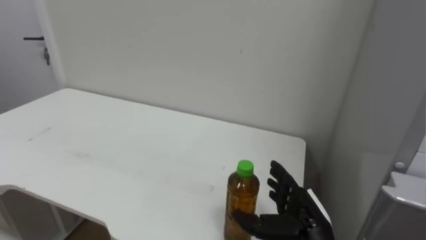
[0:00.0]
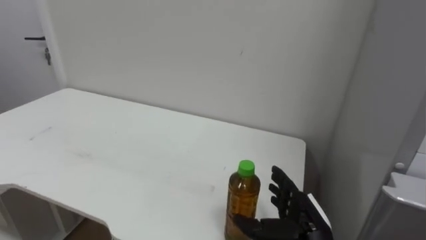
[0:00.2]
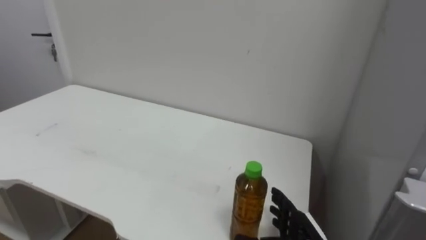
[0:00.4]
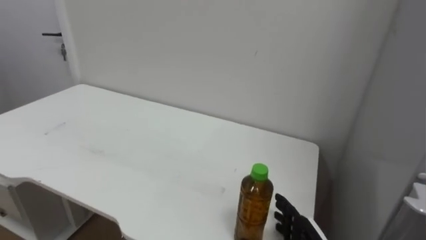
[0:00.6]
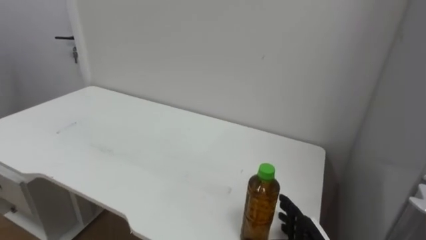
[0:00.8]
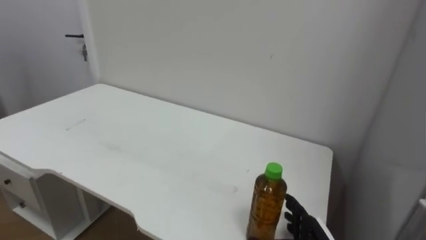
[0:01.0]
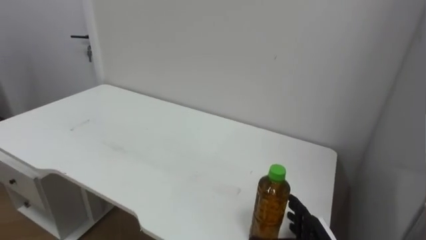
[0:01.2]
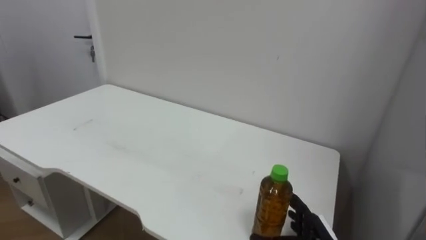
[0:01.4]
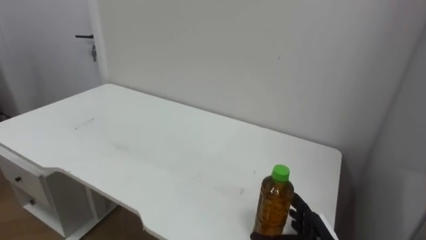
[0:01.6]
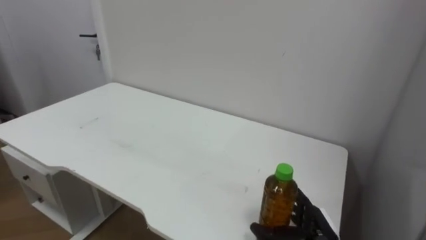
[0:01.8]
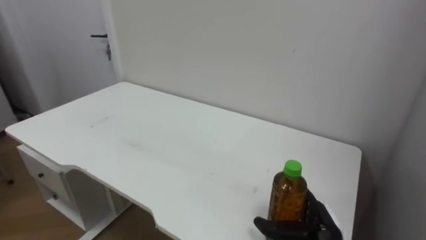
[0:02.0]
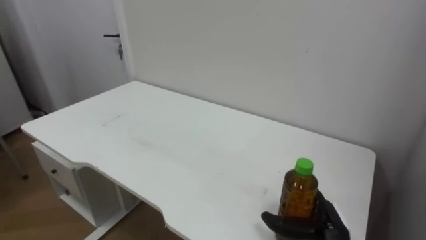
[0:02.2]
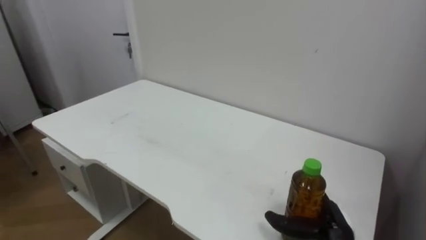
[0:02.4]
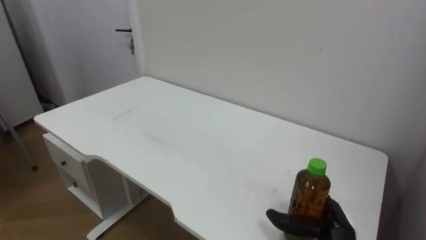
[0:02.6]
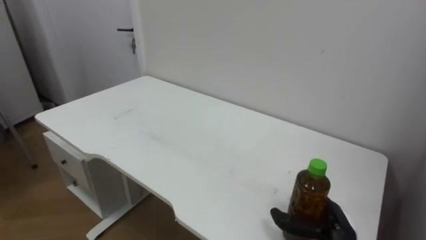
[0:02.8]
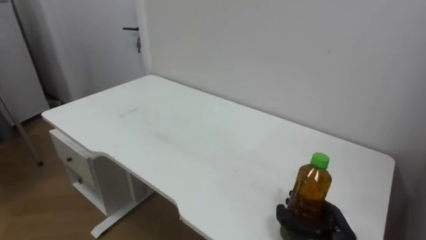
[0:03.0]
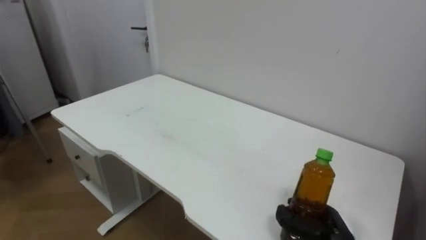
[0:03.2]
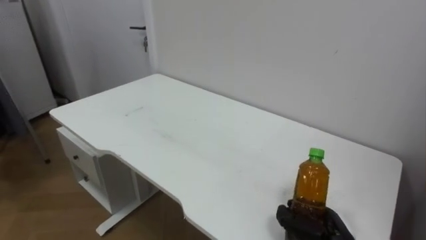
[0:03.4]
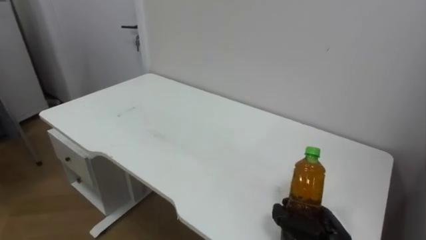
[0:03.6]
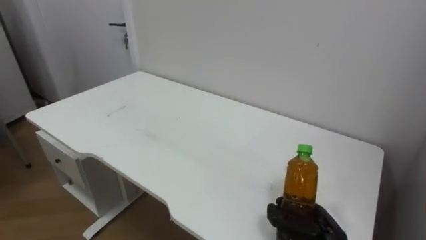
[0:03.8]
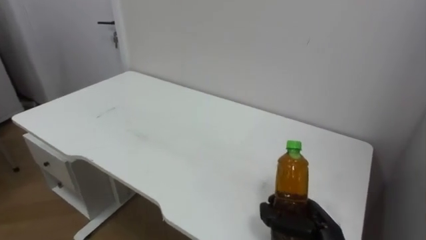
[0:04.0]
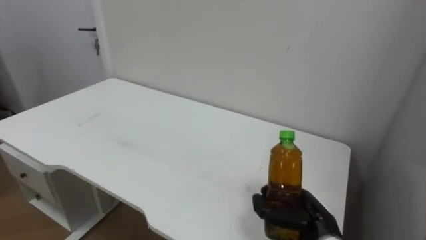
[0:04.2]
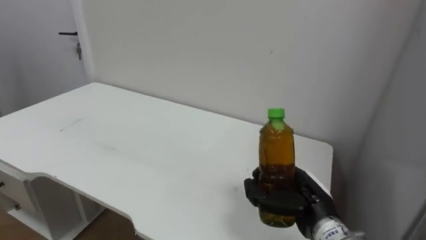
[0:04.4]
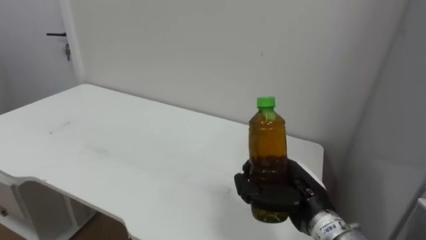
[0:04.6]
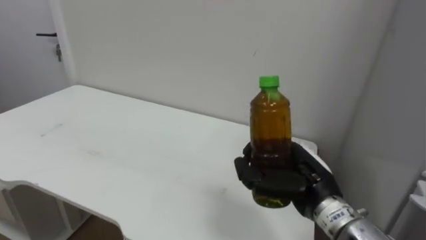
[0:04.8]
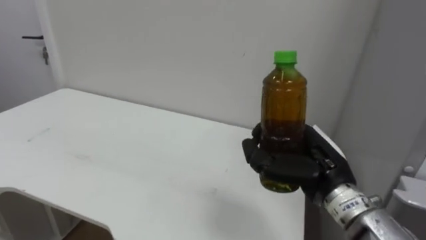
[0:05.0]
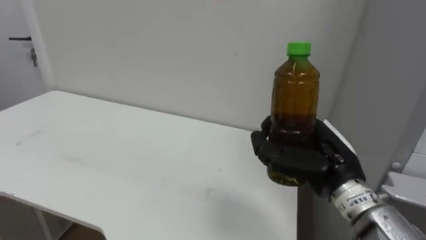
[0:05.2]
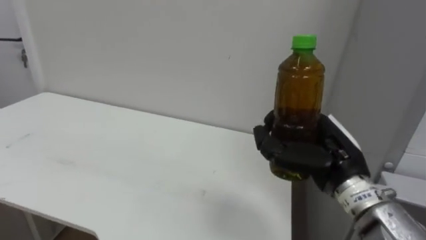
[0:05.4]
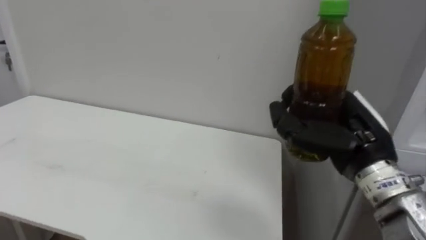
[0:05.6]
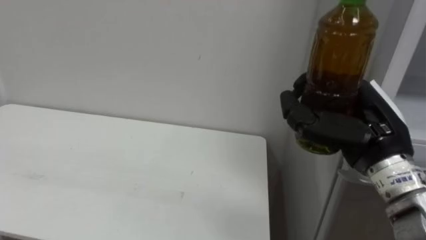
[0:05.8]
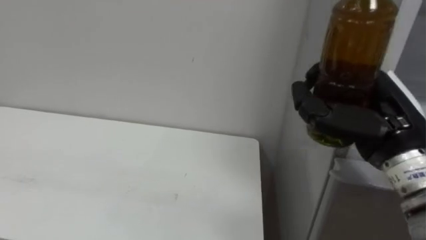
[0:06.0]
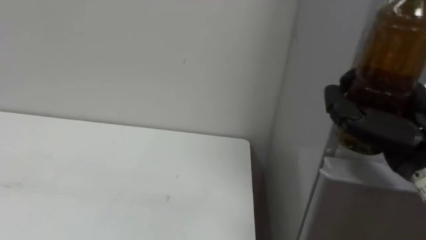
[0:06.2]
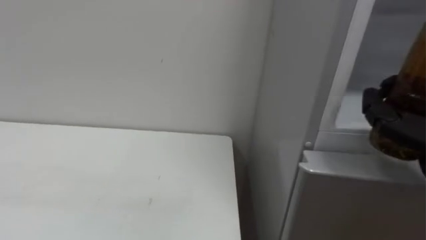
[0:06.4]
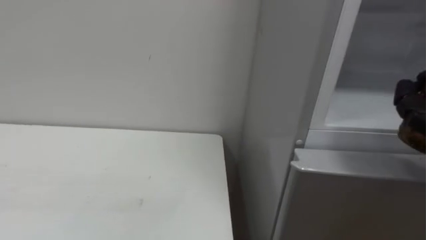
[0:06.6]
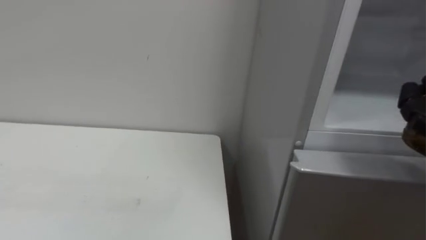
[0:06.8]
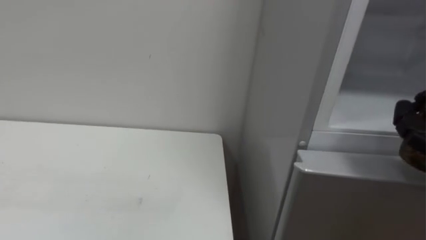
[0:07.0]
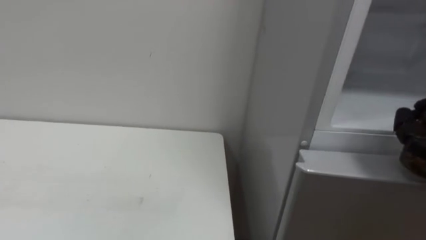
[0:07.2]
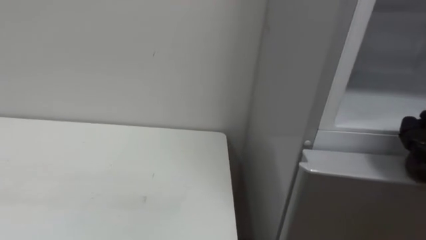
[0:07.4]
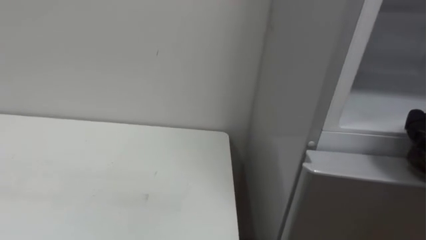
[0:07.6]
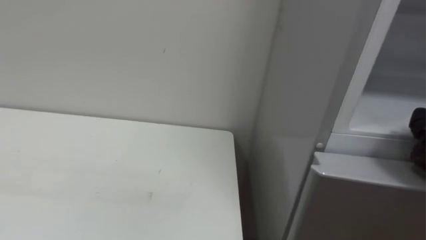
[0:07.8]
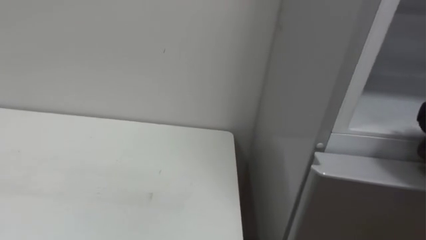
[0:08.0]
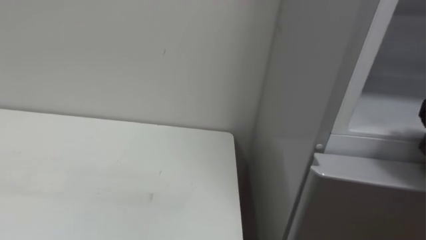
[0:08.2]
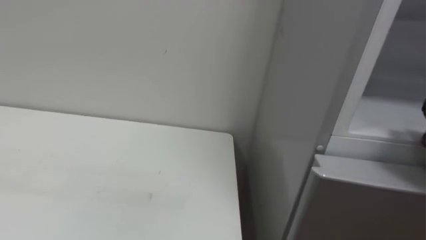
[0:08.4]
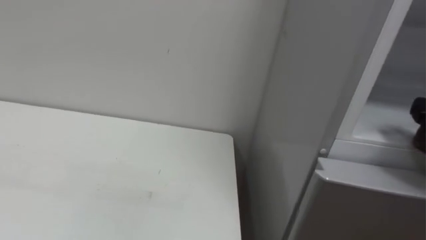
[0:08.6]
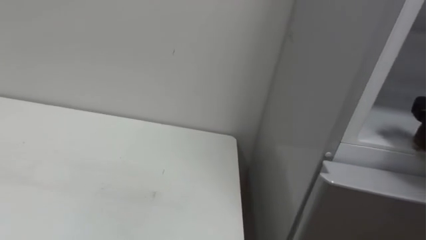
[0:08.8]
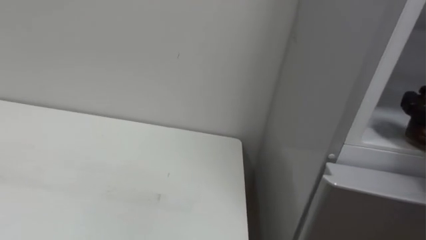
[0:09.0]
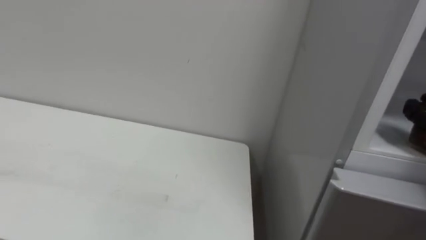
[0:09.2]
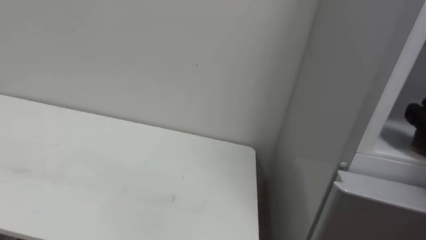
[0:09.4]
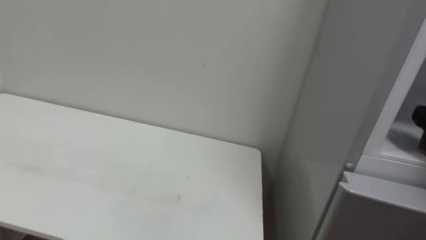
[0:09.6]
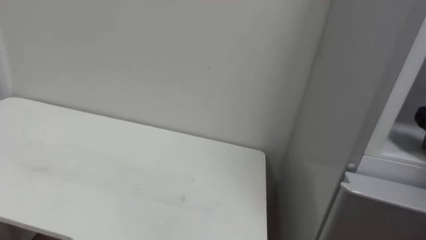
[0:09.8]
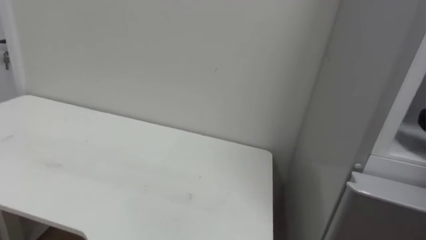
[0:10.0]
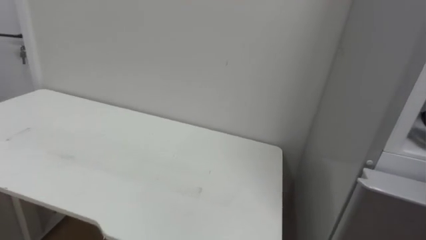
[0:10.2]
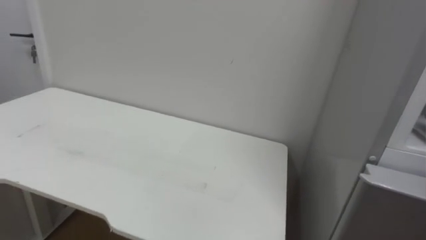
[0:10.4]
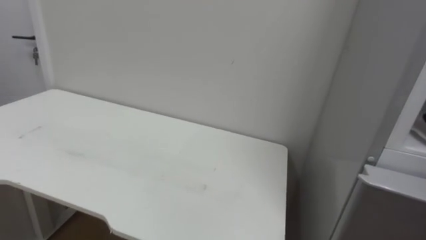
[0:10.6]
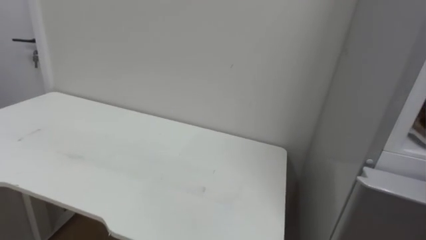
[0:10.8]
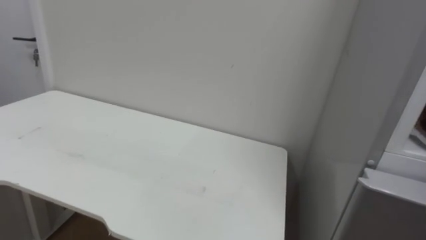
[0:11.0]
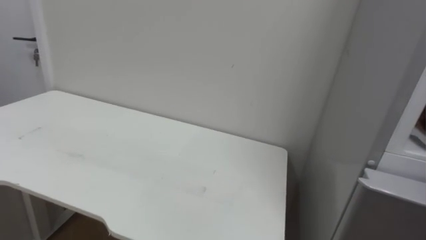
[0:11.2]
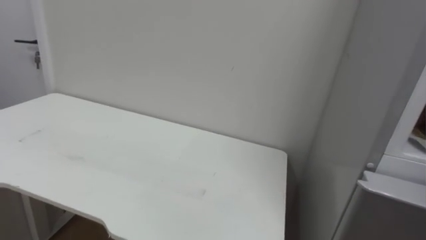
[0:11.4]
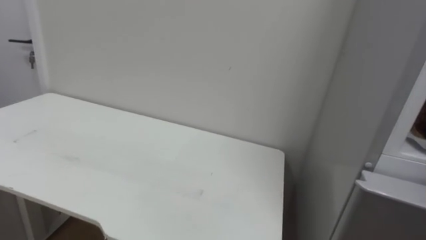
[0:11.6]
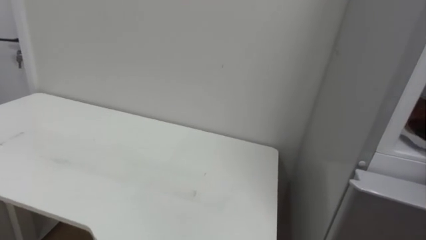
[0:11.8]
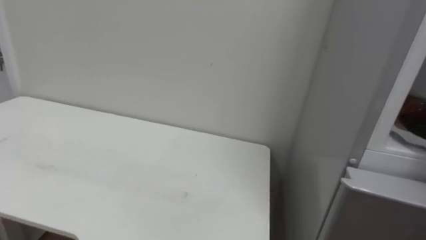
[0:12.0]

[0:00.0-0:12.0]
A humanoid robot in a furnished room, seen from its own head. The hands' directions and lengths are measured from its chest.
Task of the whole recording: Open the upper refrigerator door, put the drink from the table into the refrigerator, and then close the refrigerator door.
0:00.0 to 0:01.6: The right hand heads downward, covering roughly 5 cm.
0:01.6 to 0:03.0: The right hand closes up.
0:03.0 to 0:04.4: The right hand goes approximately 10 cm upward and to the left.
0:04.4 to 0:06.0: The right hand goes some 20 cm upward.

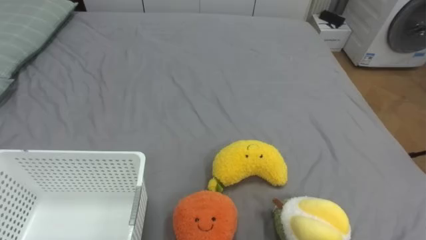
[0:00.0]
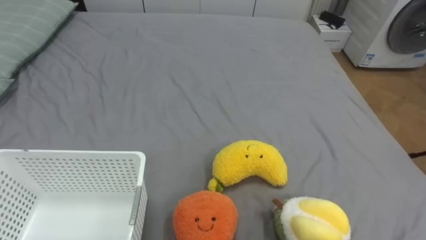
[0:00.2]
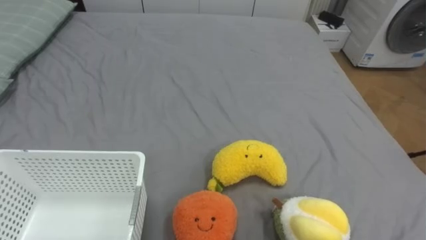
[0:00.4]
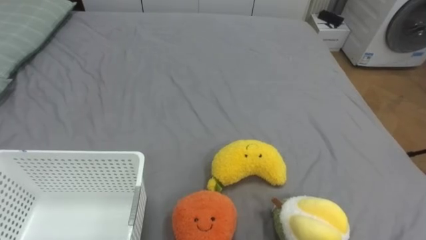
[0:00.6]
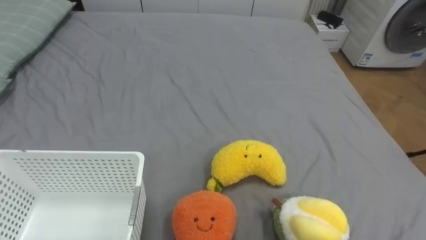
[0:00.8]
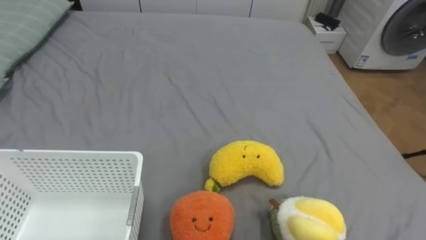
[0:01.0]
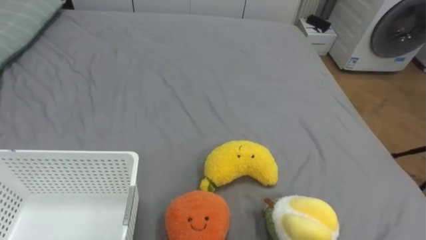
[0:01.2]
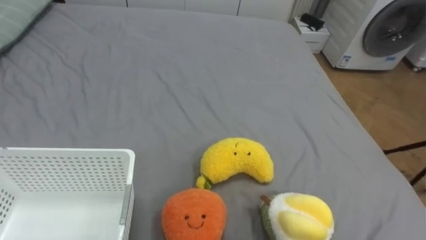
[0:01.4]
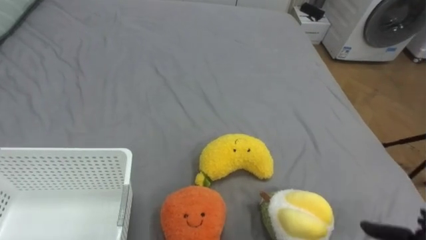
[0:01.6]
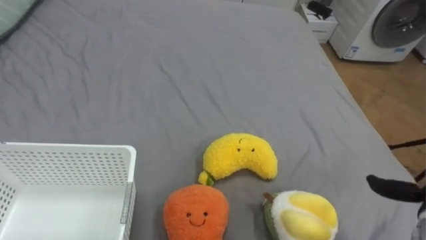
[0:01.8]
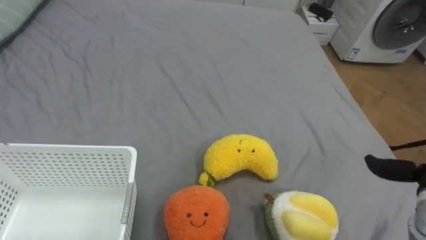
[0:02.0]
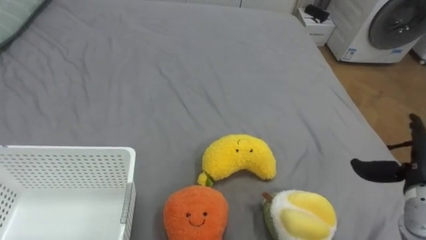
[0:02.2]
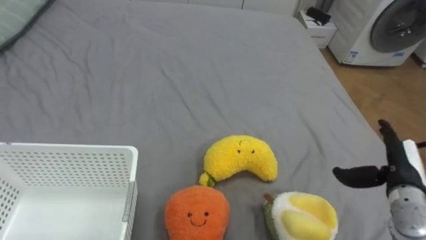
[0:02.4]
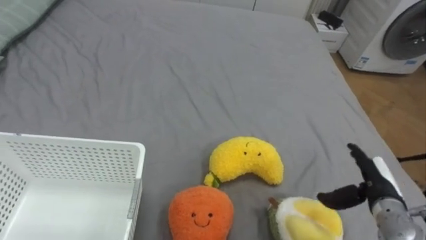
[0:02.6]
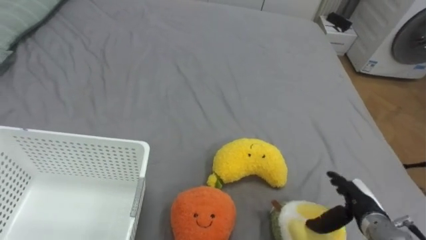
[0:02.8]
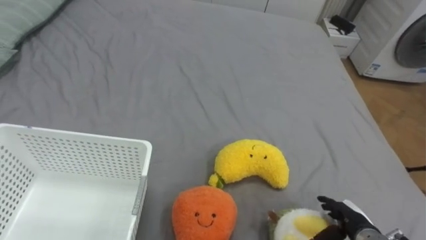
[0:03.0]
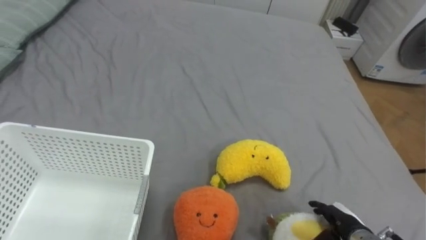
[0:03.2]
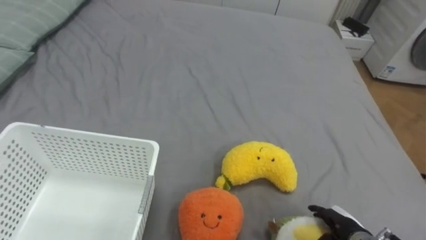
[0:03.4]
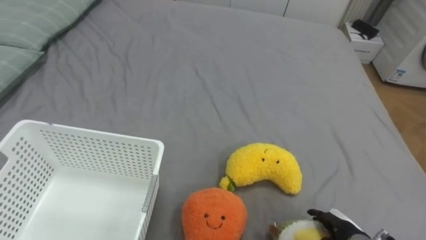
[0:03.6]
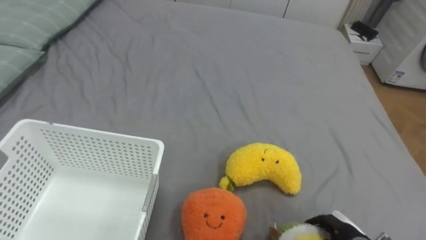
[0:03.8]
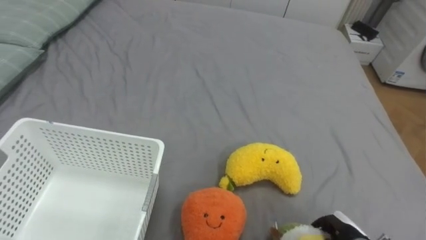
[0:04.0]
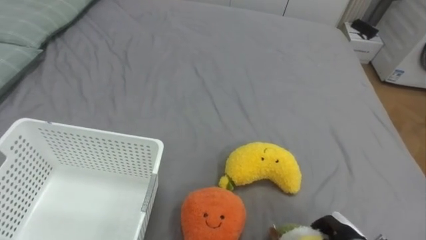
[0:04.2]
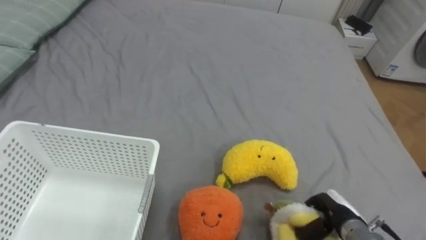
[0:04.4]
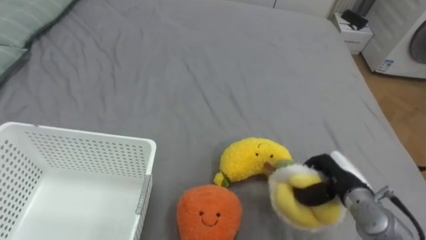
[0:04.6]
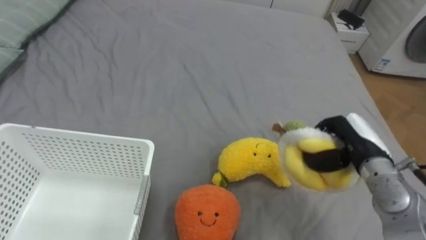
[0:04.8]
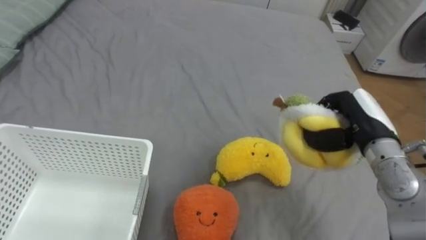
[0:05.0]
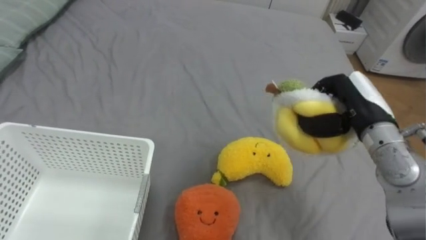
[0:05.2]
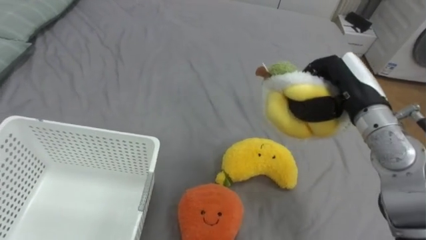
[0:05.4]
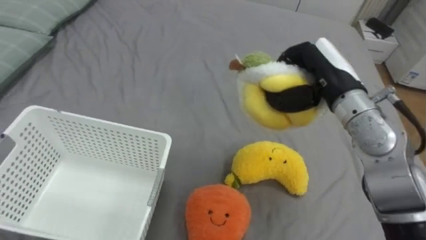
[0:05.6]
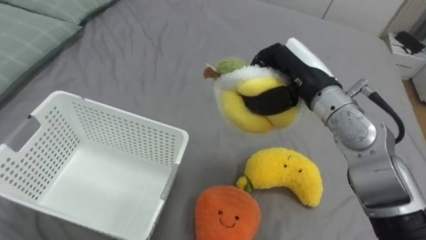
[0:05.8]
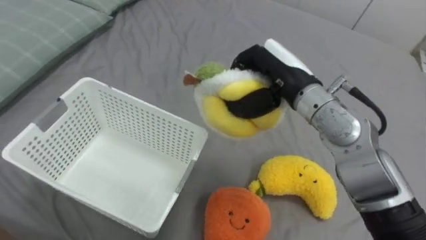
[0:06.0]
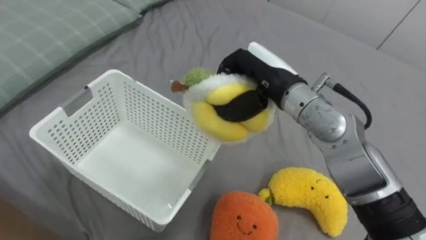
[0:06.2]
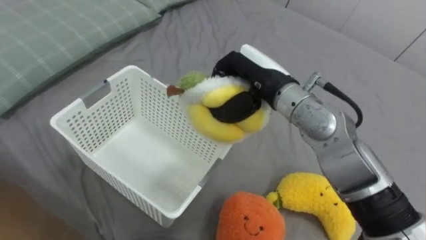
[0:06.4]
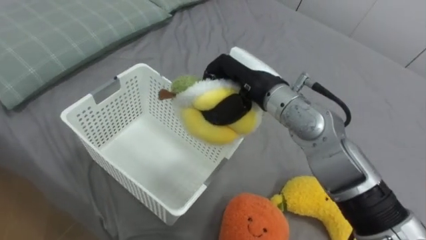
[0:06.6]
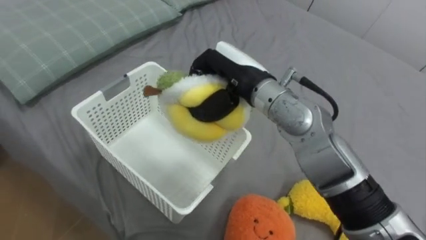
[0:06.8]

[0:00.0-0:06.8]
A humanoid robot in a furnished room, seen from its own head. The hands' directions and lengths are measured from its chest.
Task of the whole recording: Put the toys on the bed into the basket on the left.
0:02.8 to 0:04.0: The right hand is displaced downward by approximately 5 cm, and closes.
0:04.0 to 0:05.4: The right hand moves upward and forward, some 30 cm.
0:05.4 to 0:06.8: The right hand heads to the left, covering about 20 cm.
